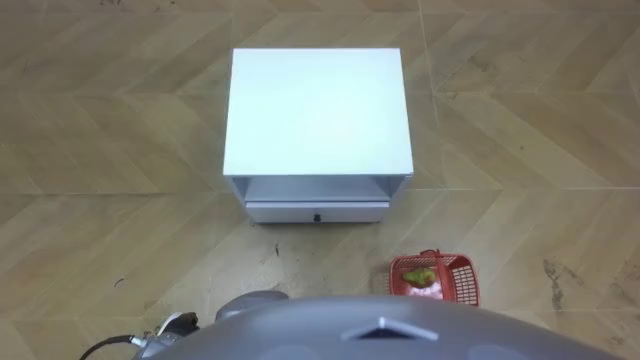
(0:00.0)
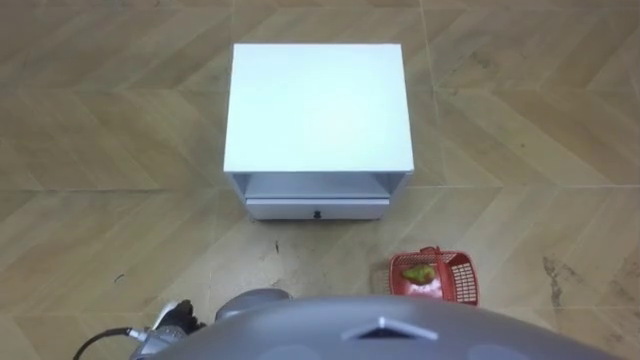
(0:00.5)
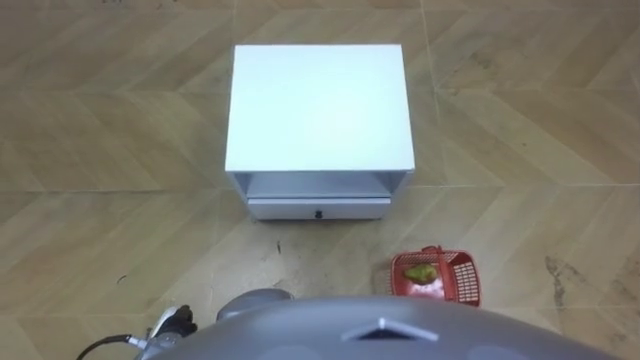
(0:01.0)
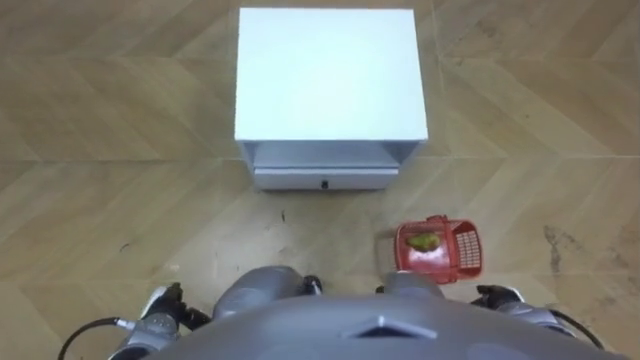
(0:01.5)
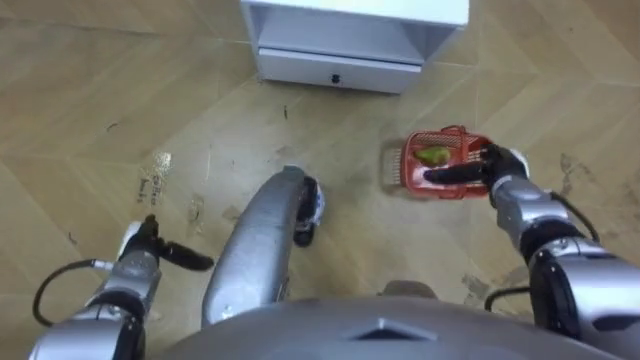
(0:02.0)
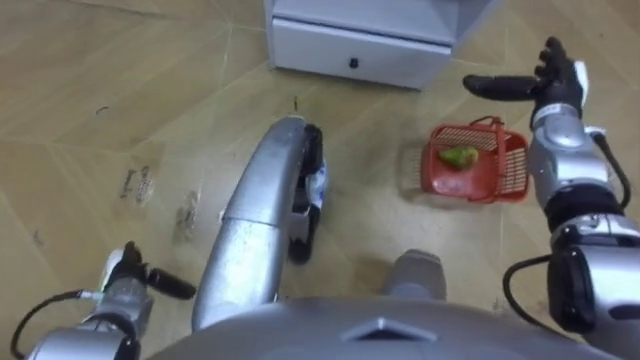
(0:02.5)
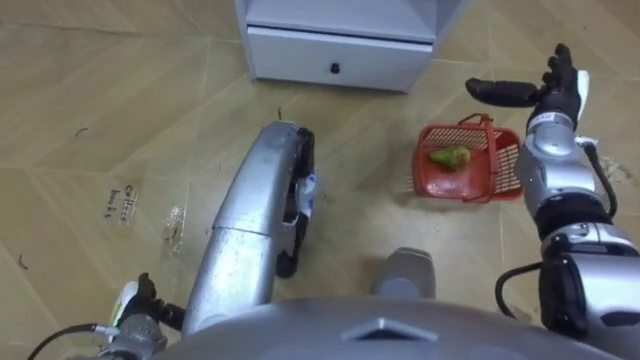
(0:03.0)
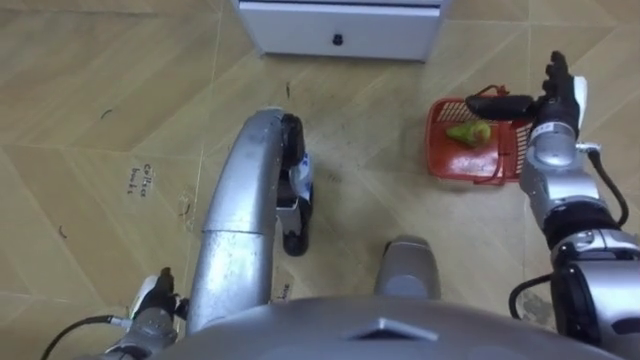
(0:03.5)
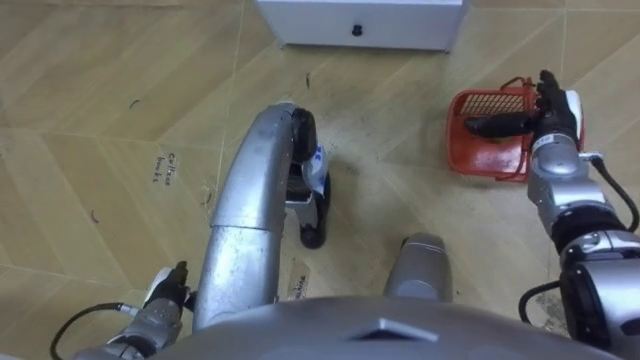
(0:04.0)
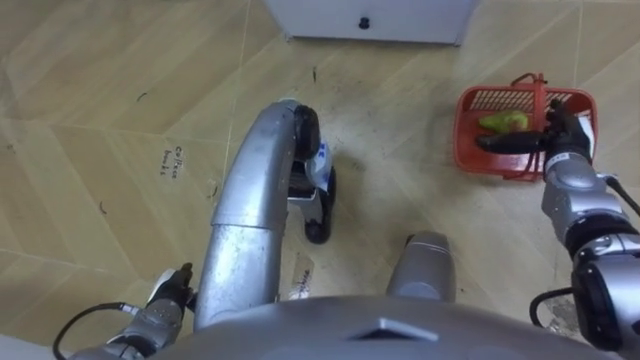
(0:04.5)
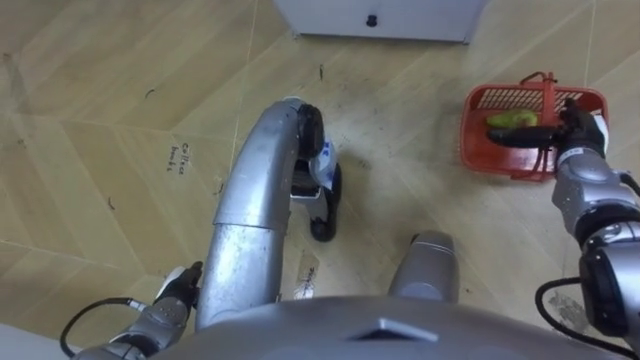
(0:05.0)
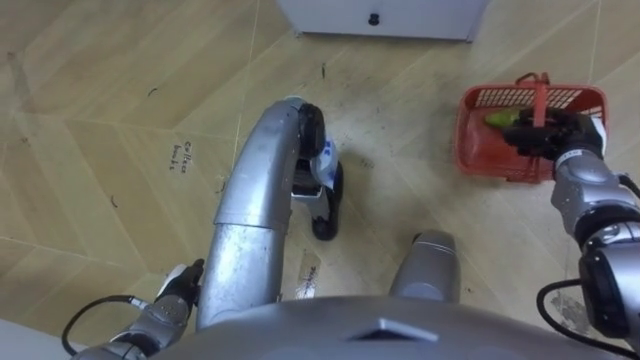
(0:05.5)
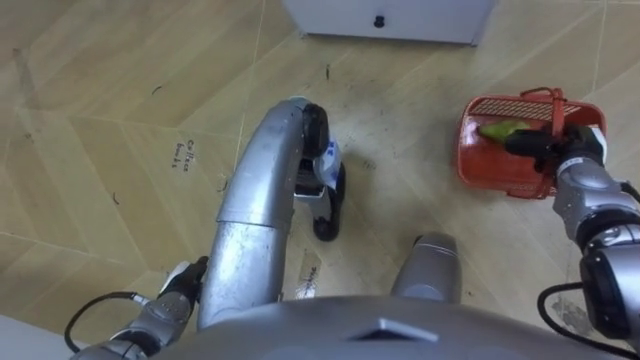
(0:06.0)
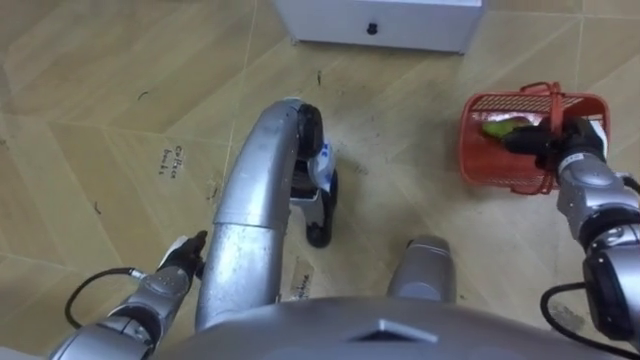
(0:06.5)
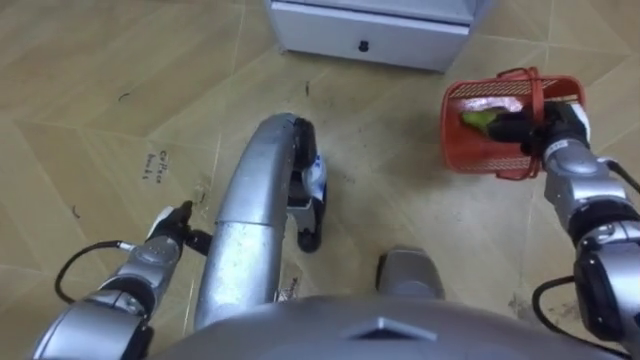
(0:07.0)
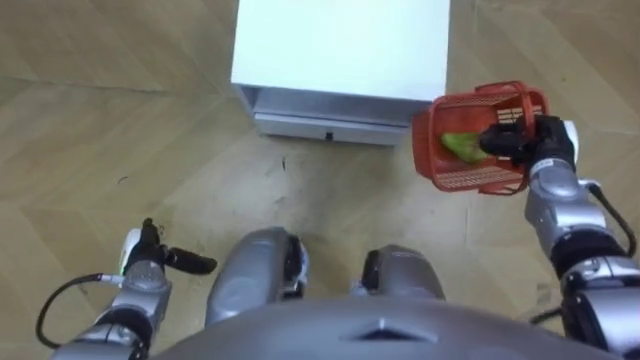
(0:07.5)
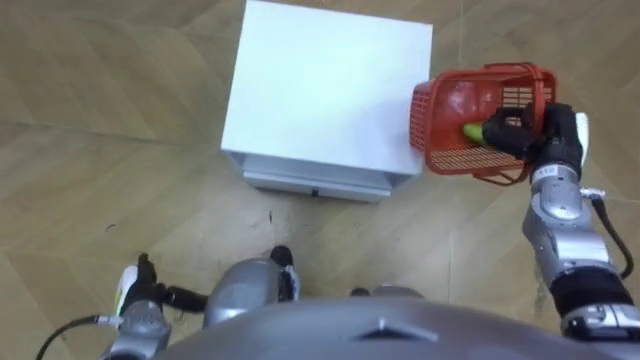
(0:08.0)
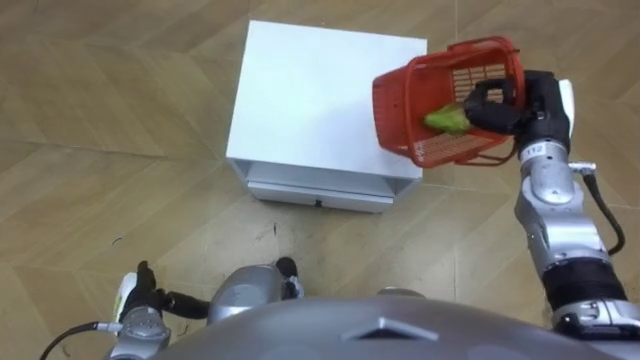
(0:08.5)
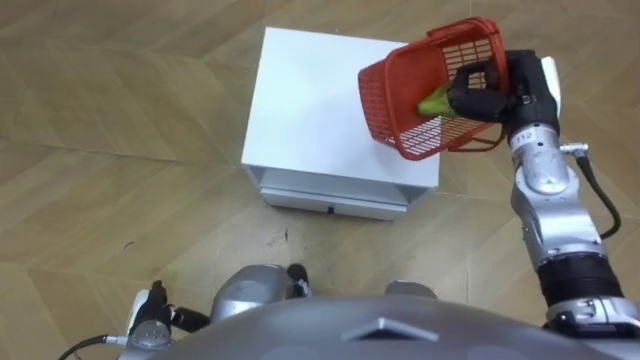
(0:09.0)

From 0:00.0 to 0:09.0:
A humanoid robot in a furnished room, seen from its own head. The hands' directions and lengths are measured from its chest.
Task of the whole recording: Pick up the fruit basket from the floor and place it on the cabinet.
From 0:02.0 to 0:04.5: The right hand goes some 10 cm to the right and upward. Meanwhile the left hand heads backward, covering approximately 5 cm.
From 0:04.5 to 0:07.0: The right hand closes its fingers. Meanwhile the left hand is displaced forward by approximately 10 cm.
From 0:07.0 to 0:09.0: The left hand is displaced backward by roughly 15 cm. Meanwhile the right hand is displaced upward and to the left by approximately 10 cm.

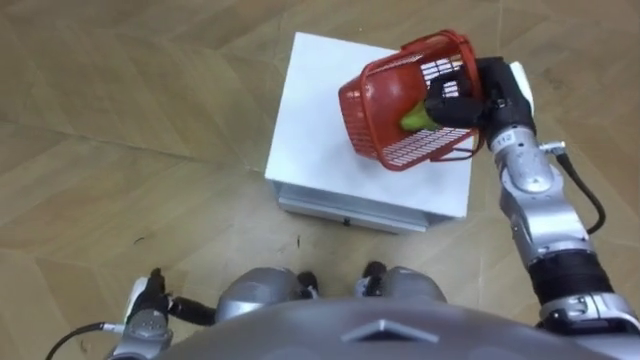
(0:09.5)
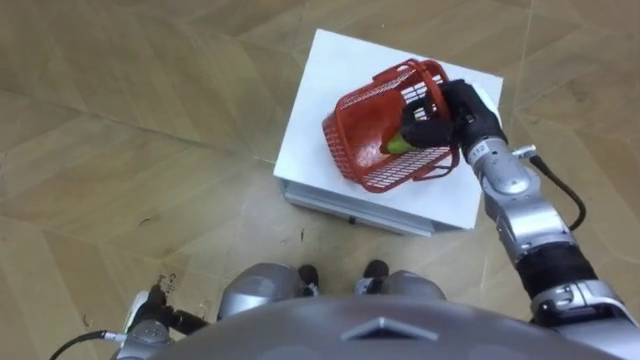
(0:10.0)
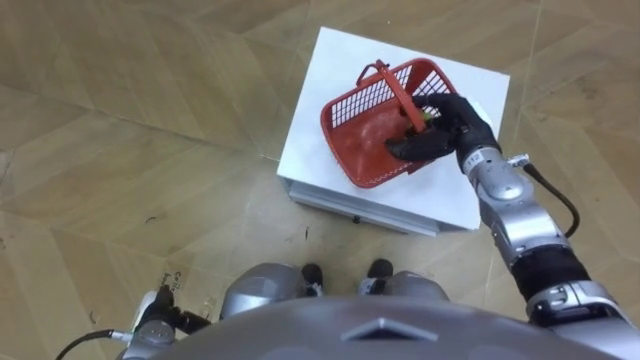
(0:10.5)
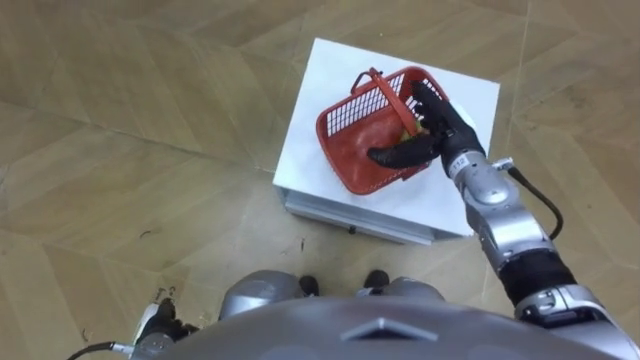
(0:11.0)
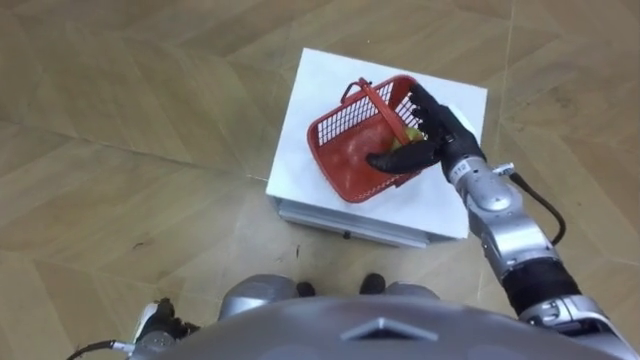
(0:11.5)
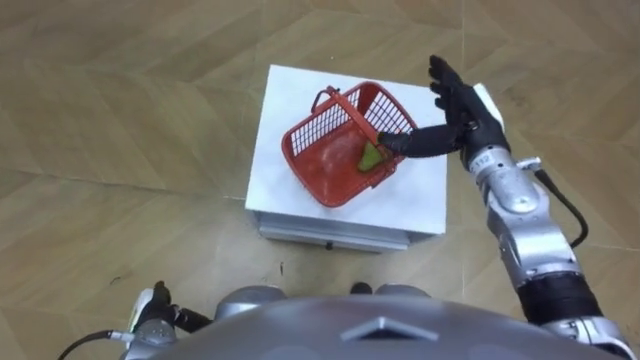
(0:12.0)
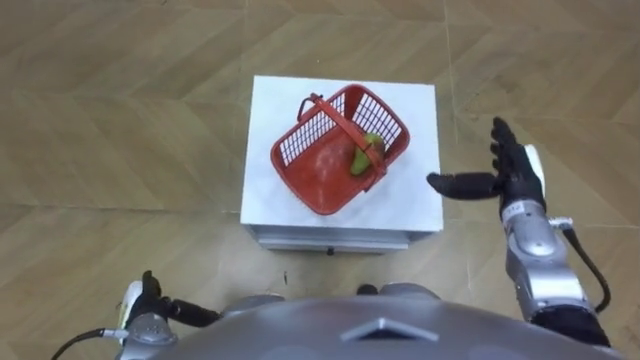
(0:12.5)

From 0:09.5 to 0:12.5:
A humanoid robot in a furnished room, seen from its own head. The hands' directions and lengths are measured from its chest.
Task of the whole recording: Pick up the fruit basket from the floor and place it on the cabinet.
From 0:09.5 to 0:11.0: The right hand heads to the left and downward, covering approximately 5 cm, and opens.
From 0:11.0 to 0:12.5: The right hand travels to the right and backward by approximately 10 cm.

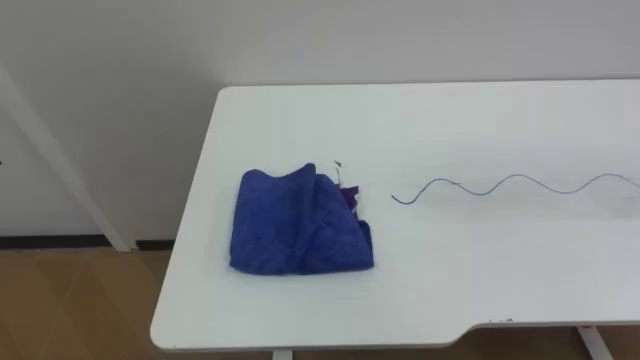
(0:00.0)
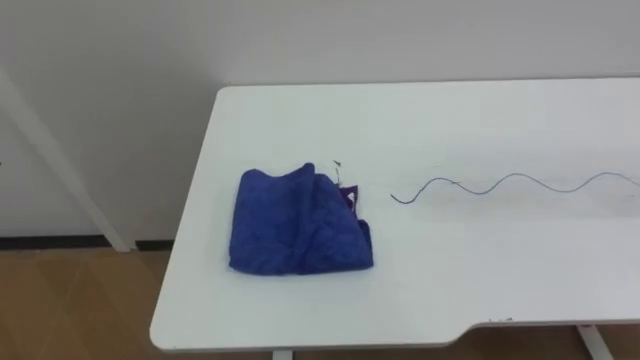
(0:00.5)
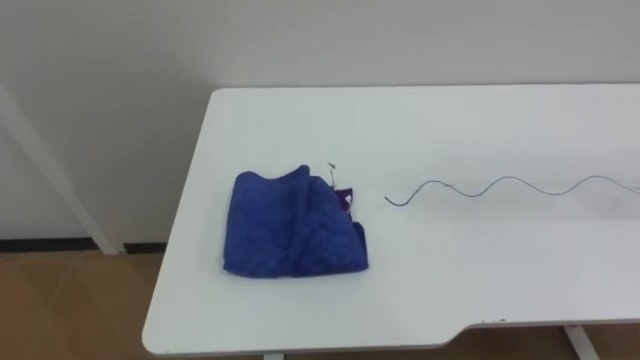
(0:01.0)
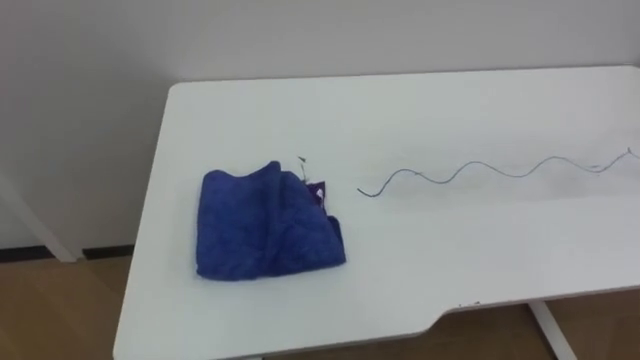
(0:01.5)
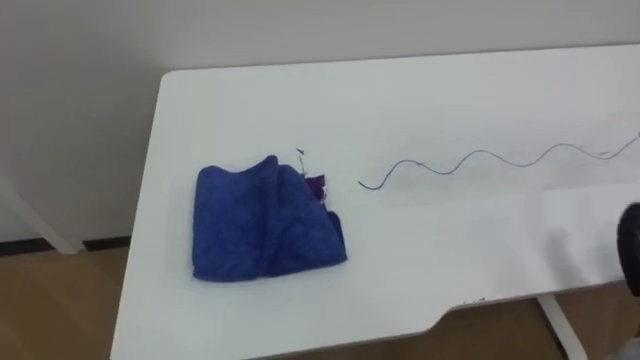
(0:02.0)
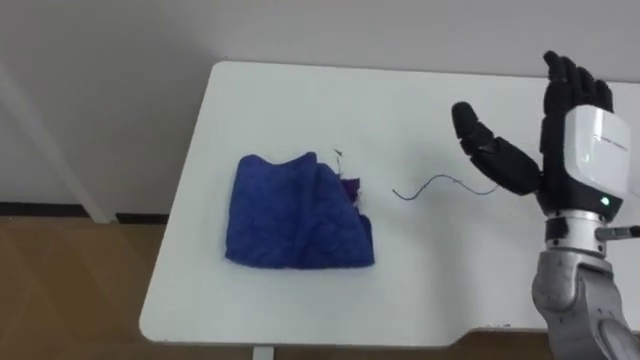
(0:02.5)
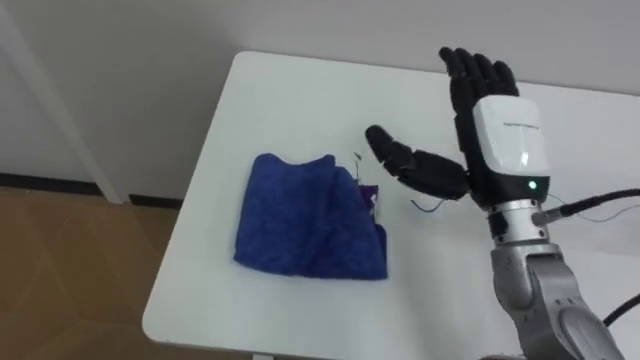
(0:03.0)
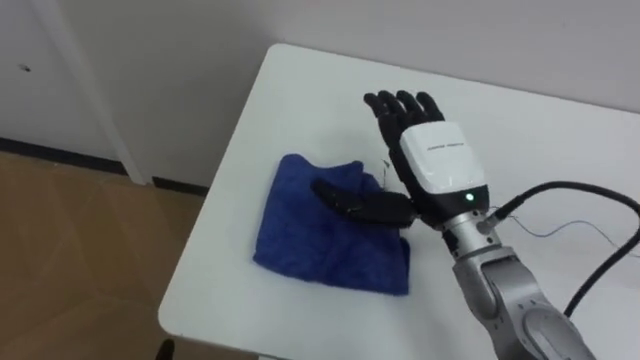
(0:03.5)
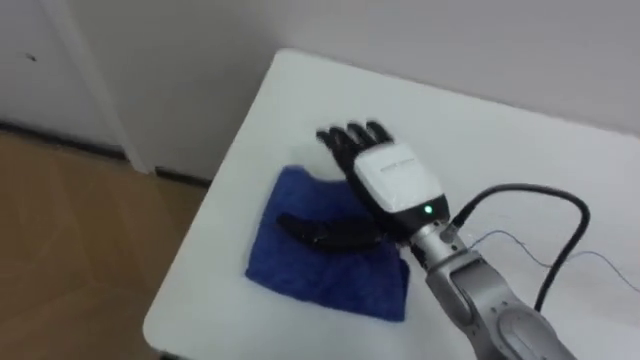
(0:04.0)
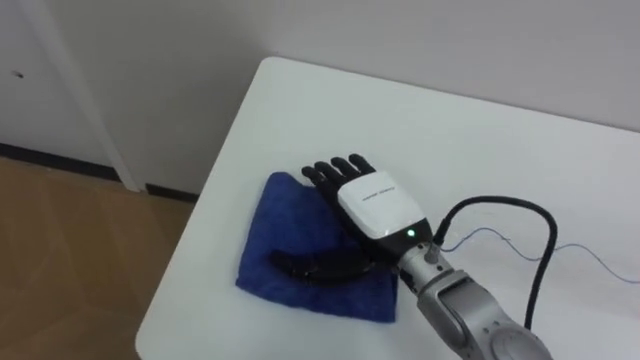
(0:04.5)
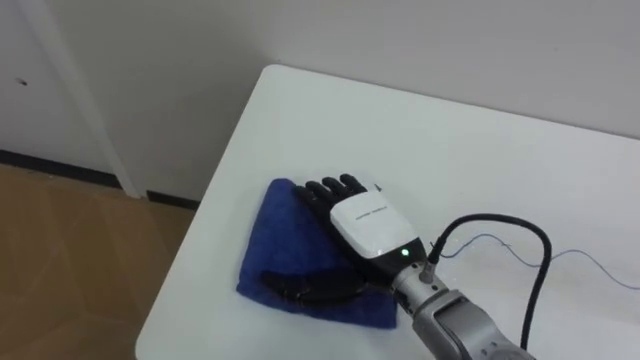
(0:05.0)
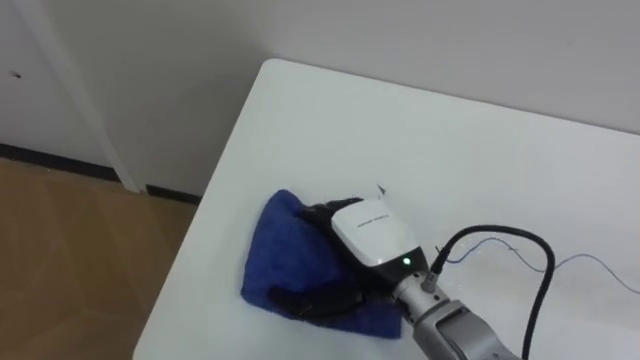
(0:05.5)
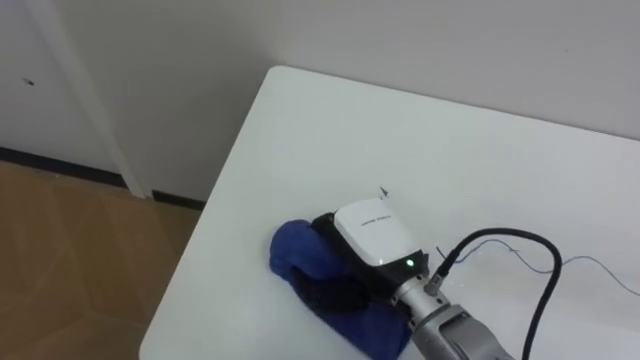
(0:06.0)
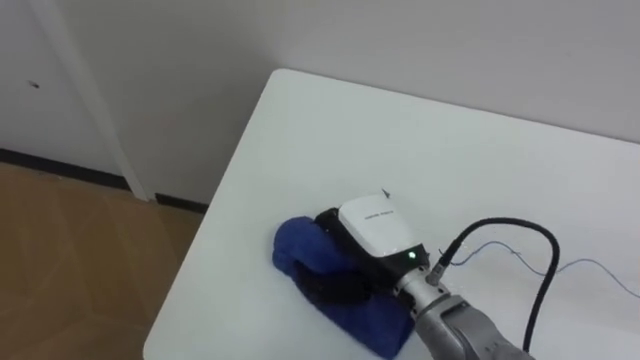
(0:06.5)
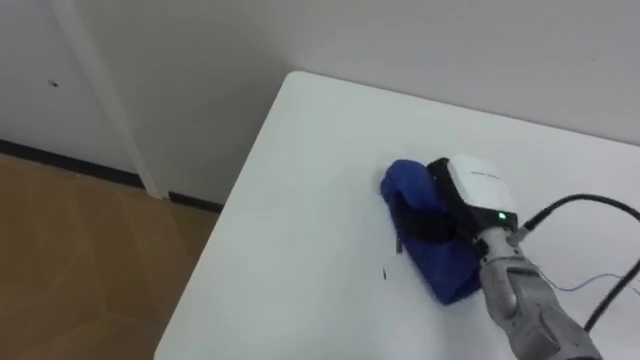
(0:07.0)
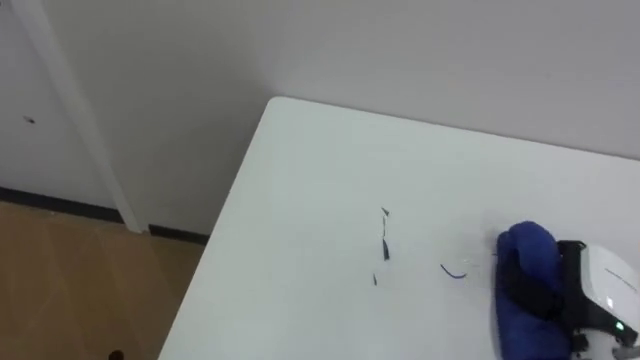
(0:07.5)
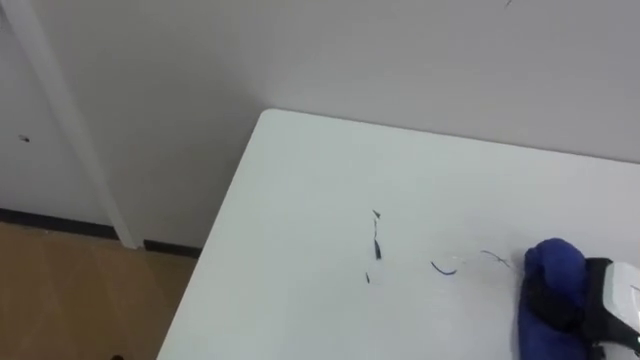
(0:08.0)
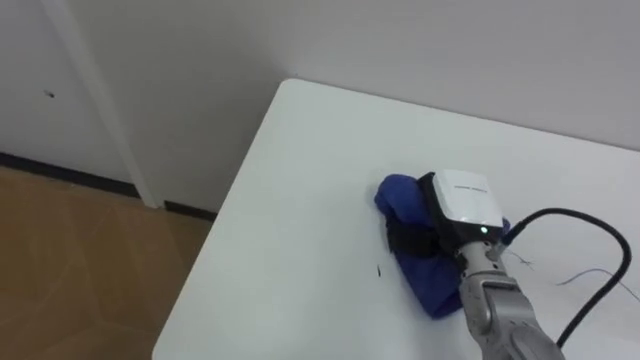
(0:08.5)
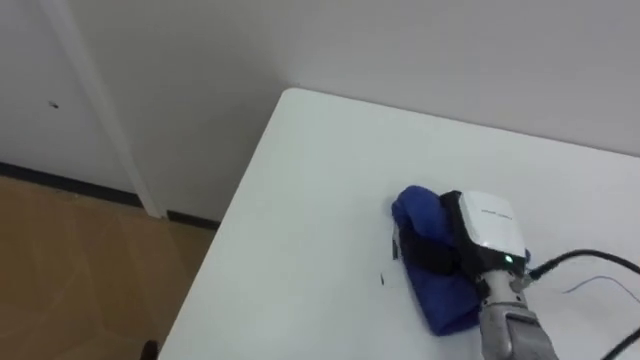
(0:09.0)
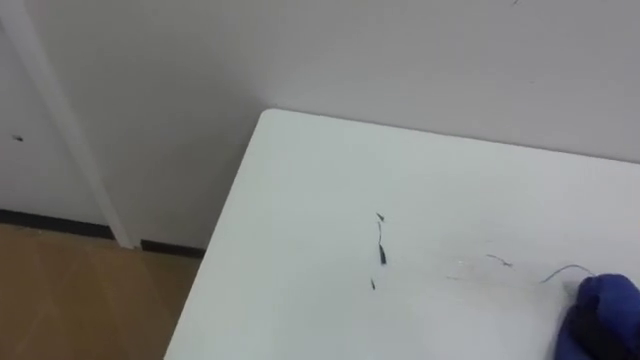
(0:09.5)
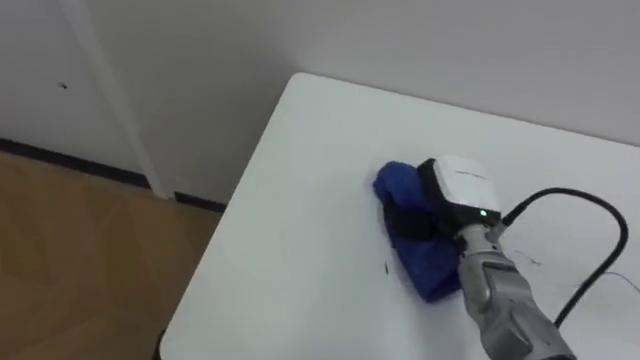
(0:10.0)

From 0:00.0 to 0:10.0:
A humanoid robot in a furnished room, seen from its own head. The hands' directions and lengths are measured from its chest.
Task of the whole recording: Wipe the blue pen marks off the table with the rag.
From 0:04.0 to 0:06.0: The right hand changes place by roughly 5 cm, and closes.
From 0:06.0 to 0:08.0: The right hand goes about 30 cm to the right.
